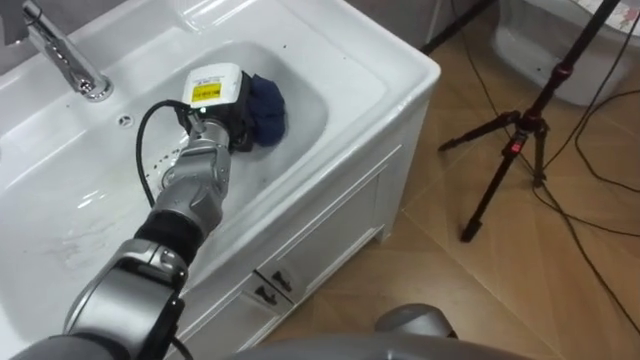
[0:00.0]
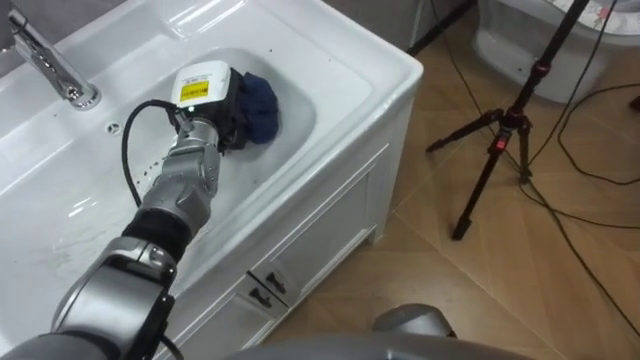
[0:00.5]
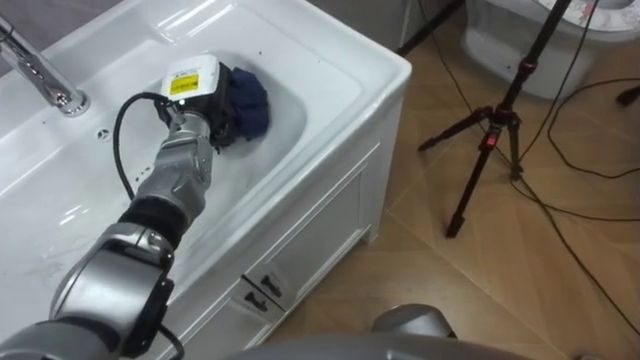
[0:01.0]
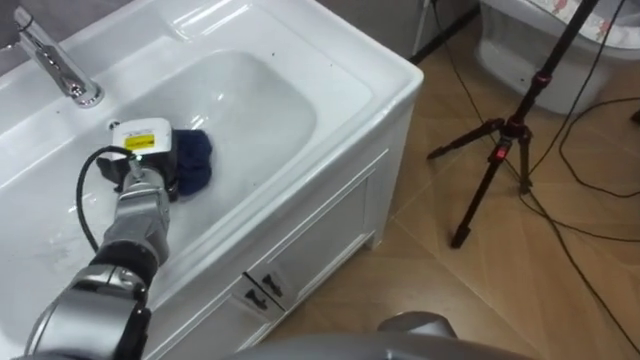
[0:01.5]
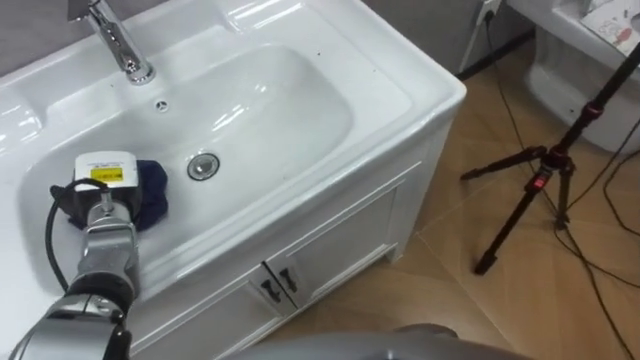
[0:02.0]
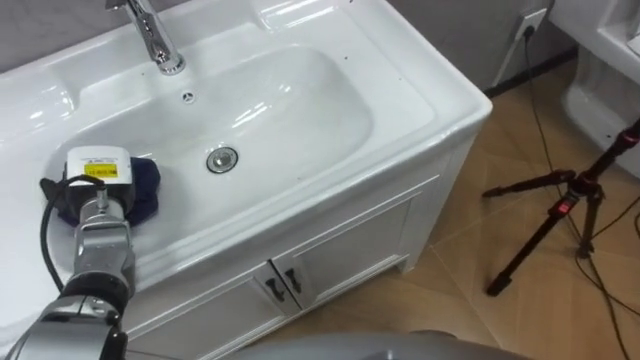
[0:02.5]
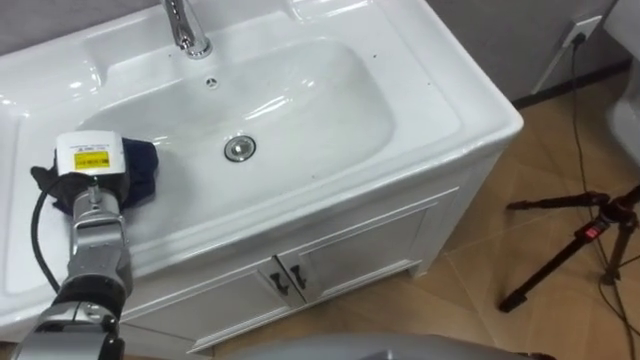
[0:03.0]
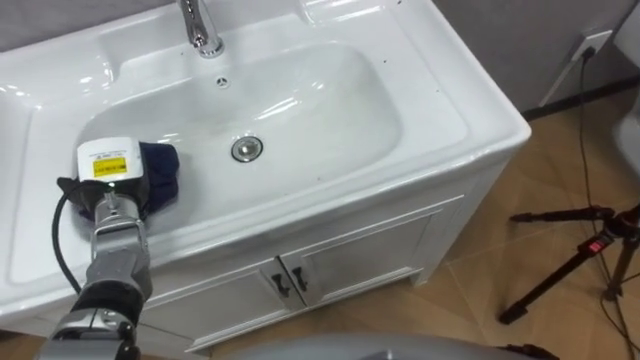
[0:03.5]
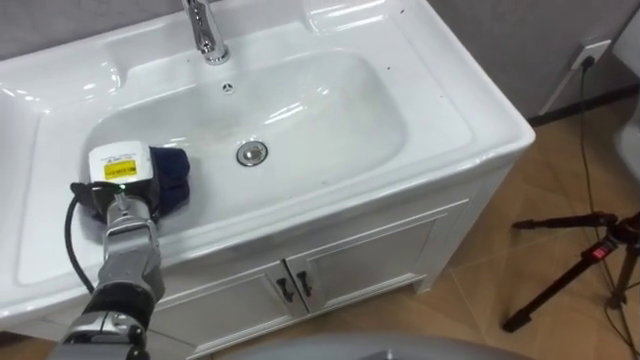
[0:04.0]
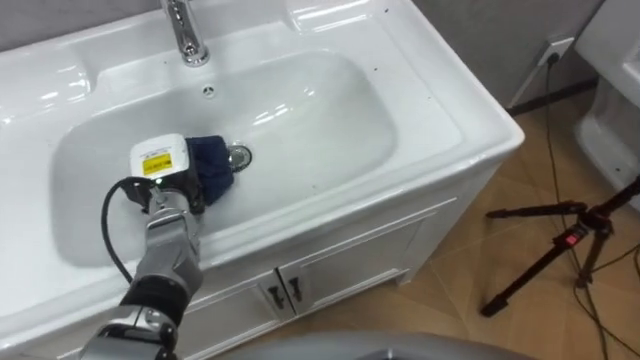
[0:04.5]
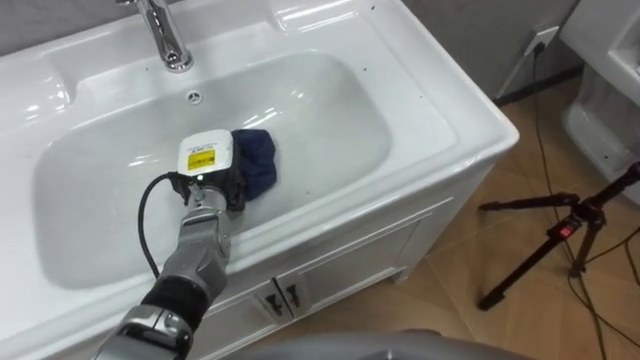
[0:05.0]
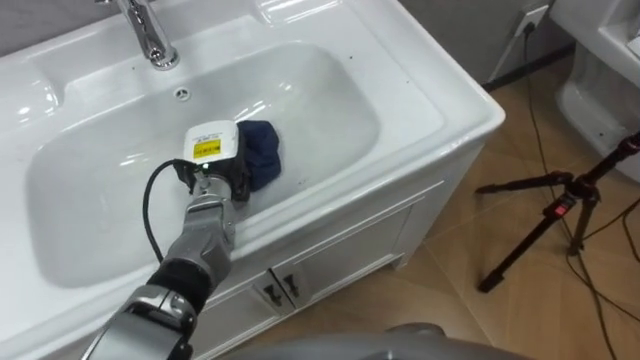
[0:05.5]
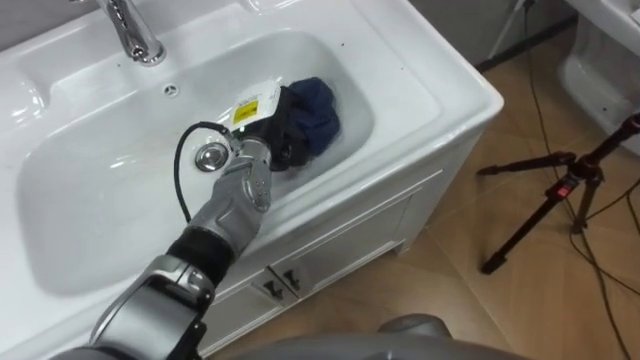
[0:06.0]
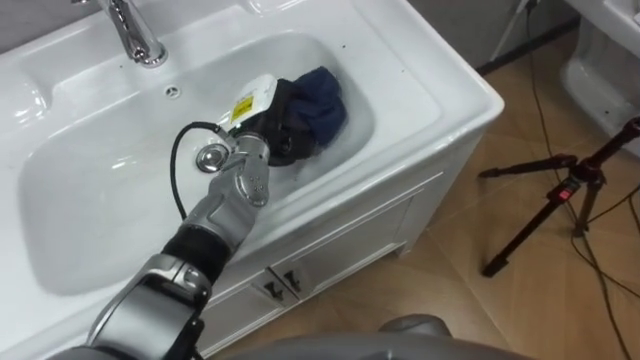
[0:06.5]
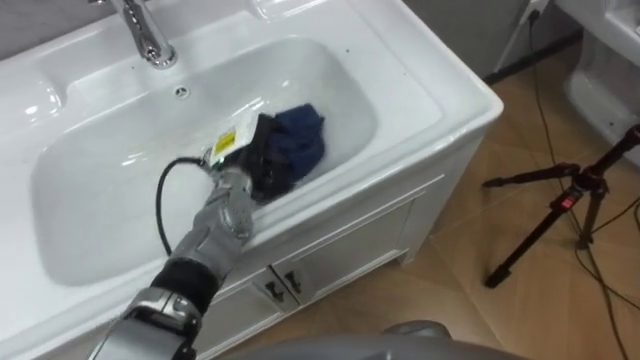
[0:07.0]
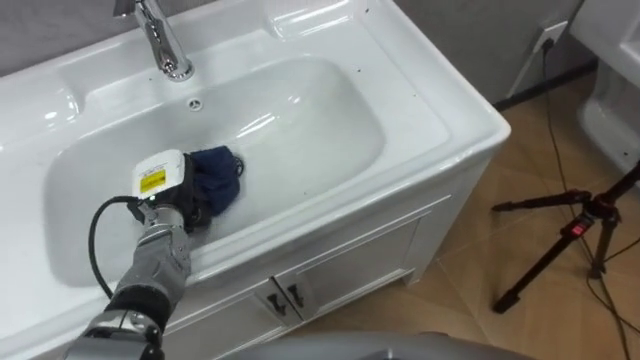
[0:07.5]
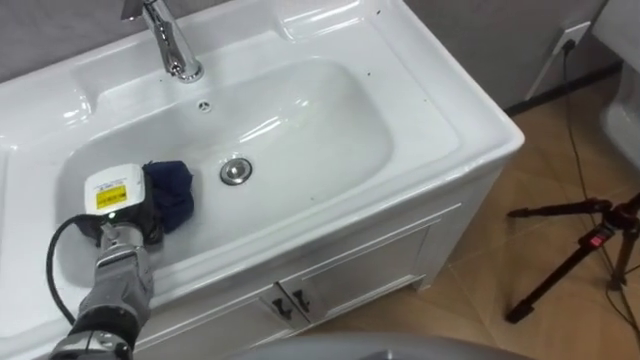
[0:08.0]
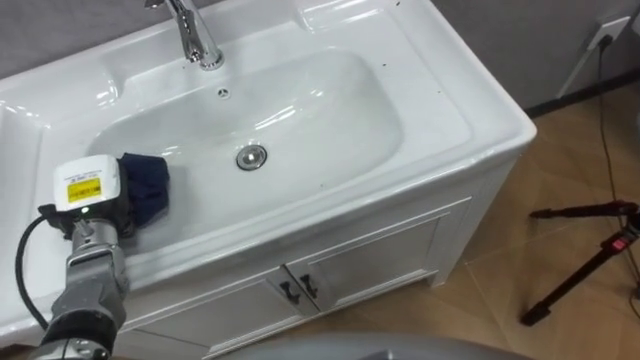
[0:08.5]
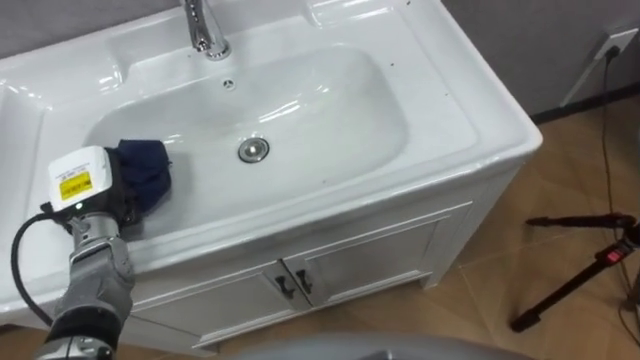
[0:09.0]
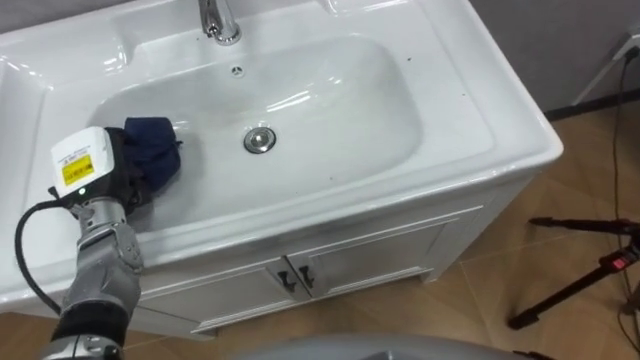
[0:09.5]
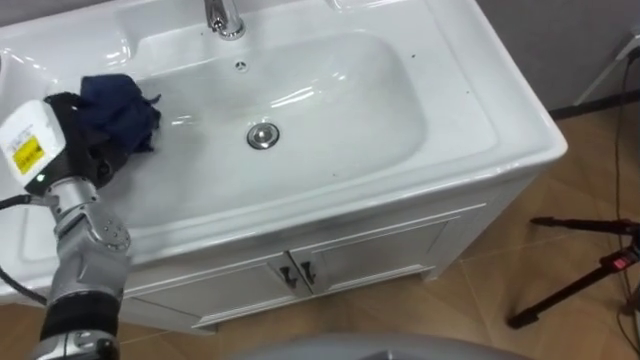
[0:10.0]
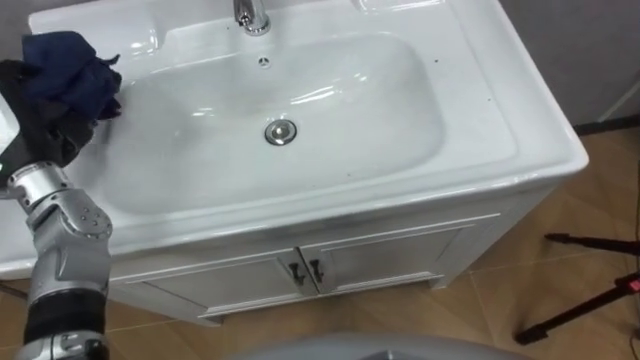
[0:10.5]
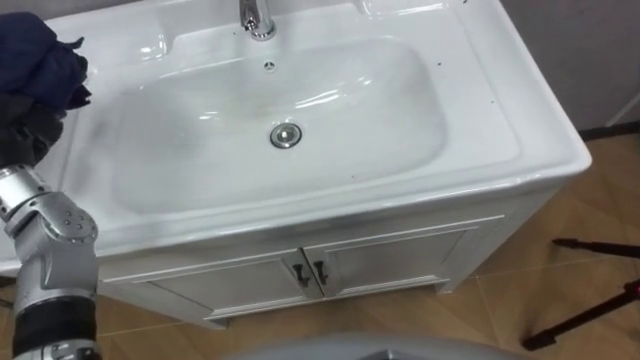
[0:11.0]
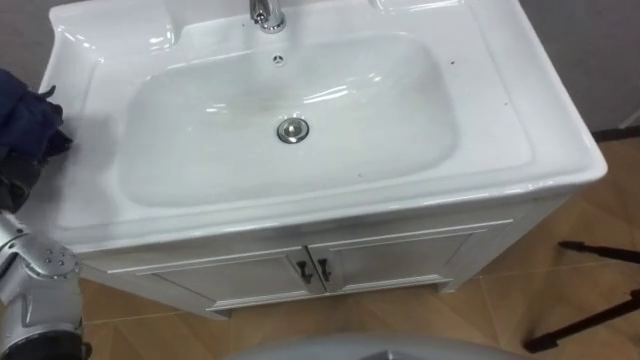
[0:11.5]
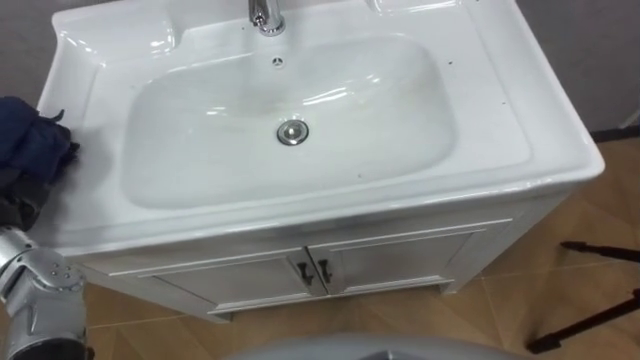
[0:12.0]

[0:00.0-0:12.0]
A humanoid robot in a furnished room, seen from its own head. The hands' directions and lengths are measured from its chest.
Task of the whole recording: Use the cloth on the right to wipe away the black stain in the sink.
0:00.0 to 0:02.0: The left hand shifts some 20 cm to the left, backward and downward.
0:04.0 to 0:06.0: The left hand is displaced to the right and forward by about 20 cm.
0:06.0 to 0:08.0: The left hand goes roughly 25 cm to the left and backward.
0:08.0 to 0:10.0: The left hand travels upward by roughly 10 cm.

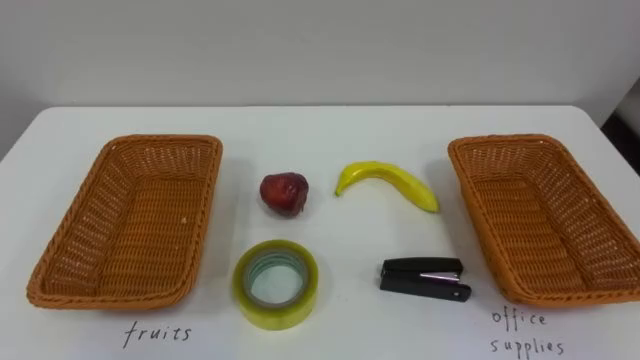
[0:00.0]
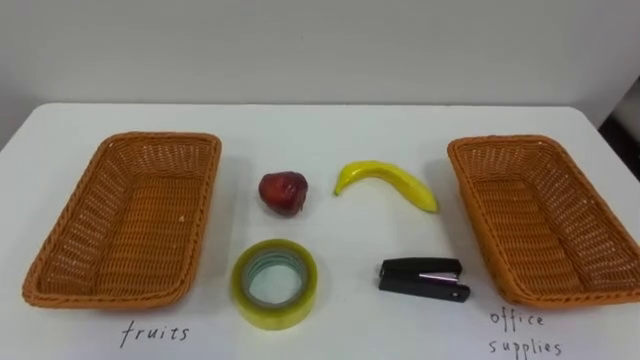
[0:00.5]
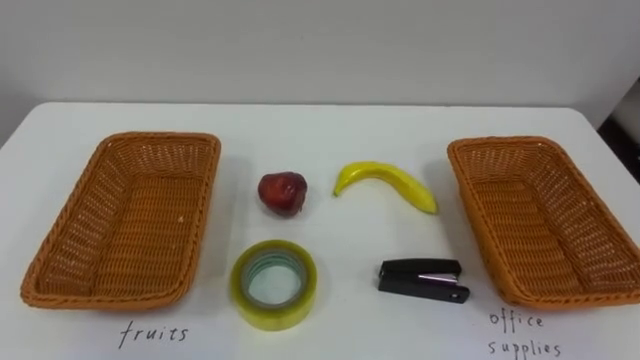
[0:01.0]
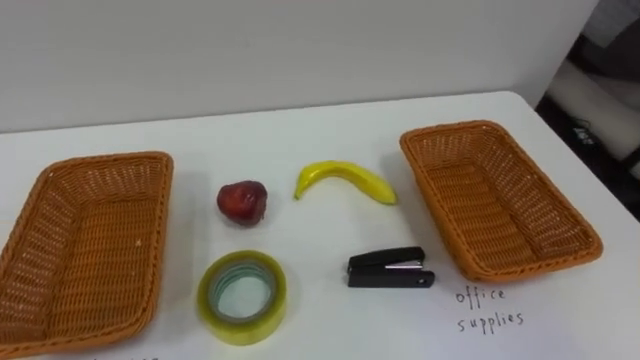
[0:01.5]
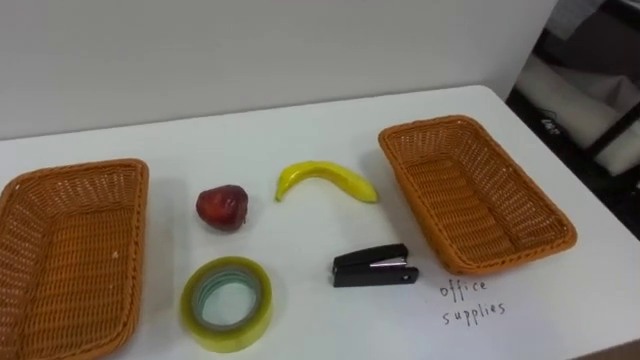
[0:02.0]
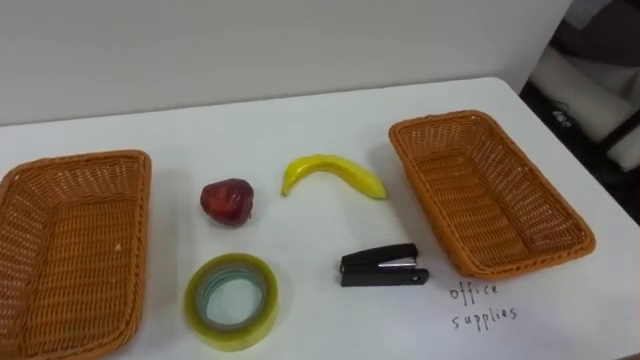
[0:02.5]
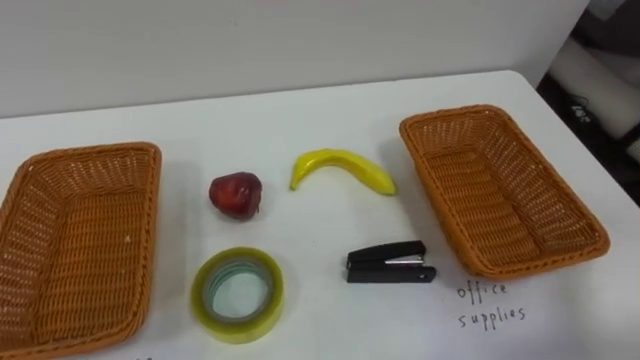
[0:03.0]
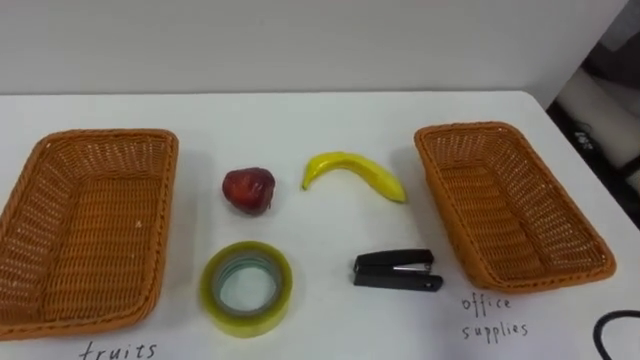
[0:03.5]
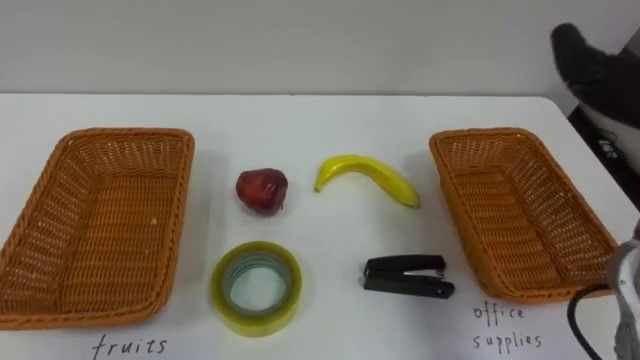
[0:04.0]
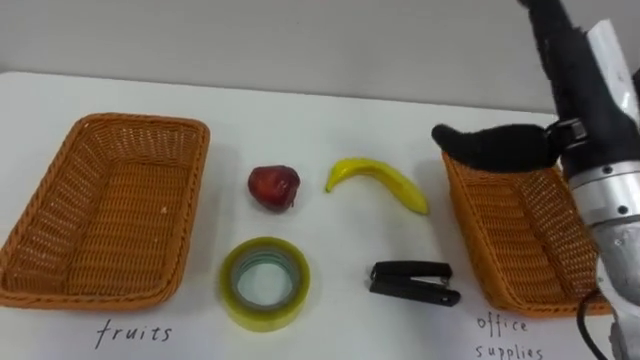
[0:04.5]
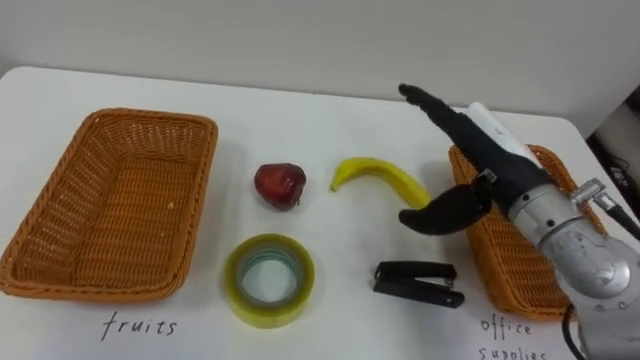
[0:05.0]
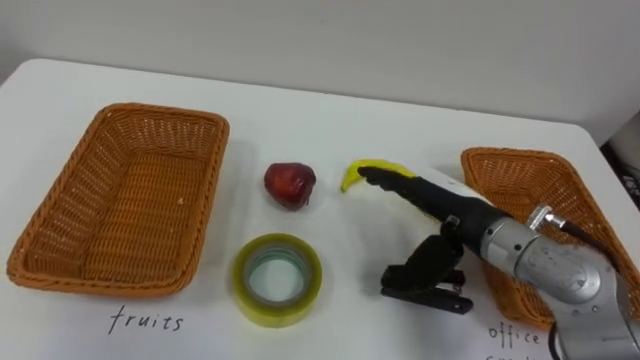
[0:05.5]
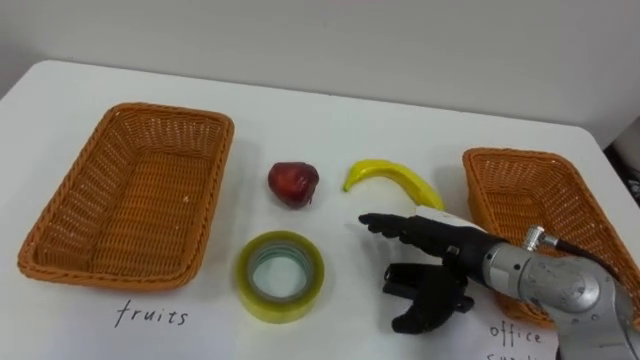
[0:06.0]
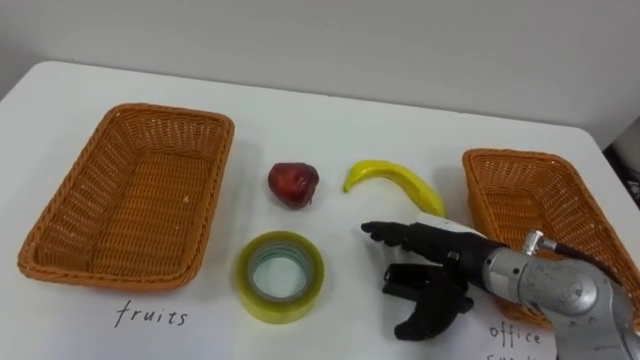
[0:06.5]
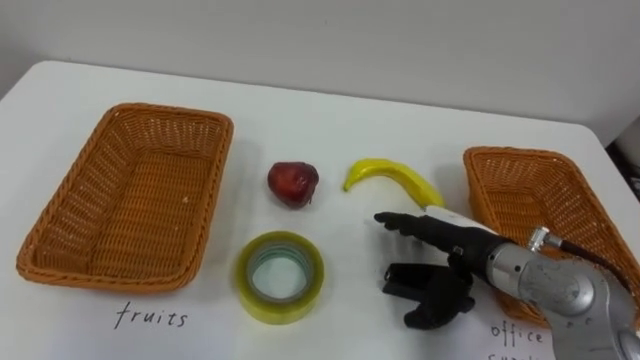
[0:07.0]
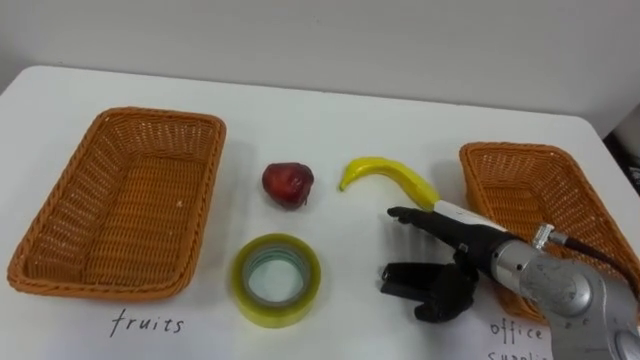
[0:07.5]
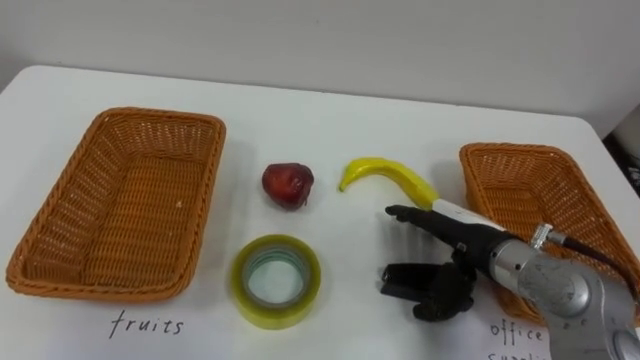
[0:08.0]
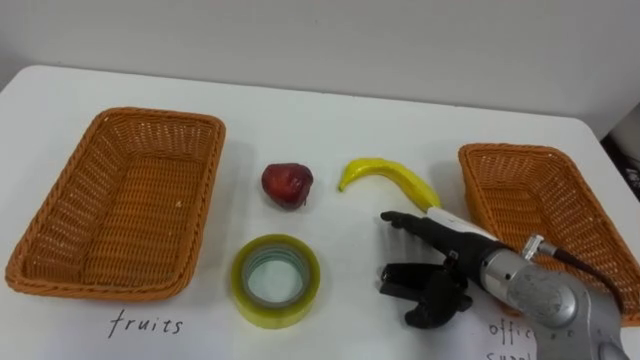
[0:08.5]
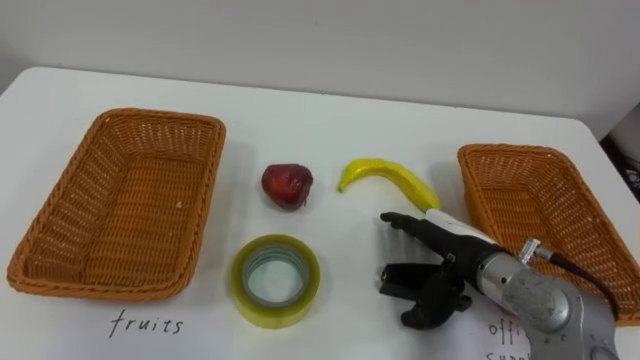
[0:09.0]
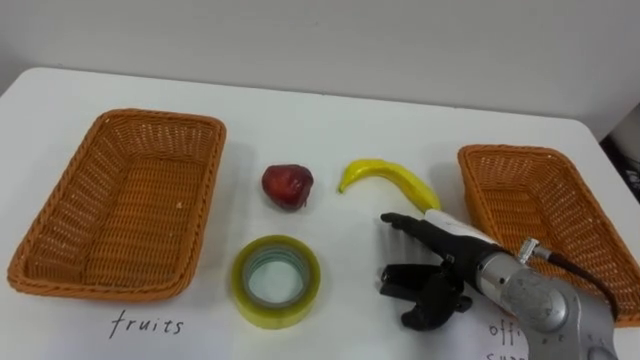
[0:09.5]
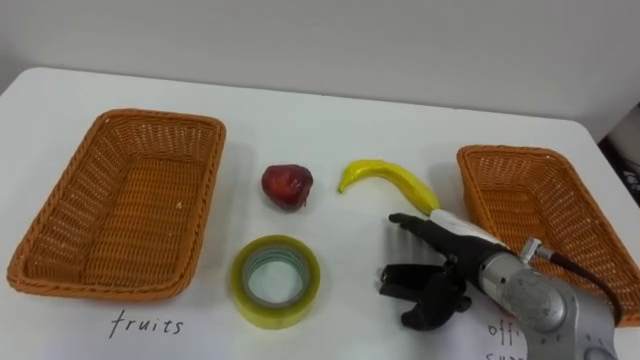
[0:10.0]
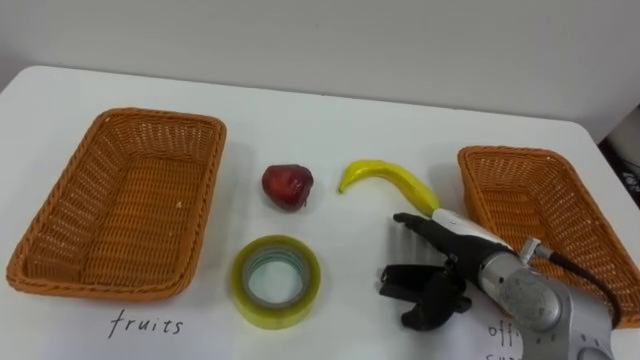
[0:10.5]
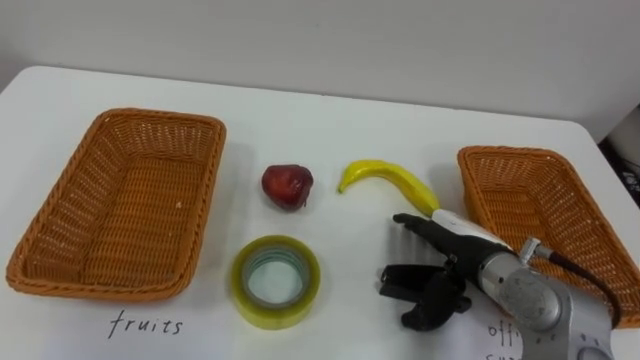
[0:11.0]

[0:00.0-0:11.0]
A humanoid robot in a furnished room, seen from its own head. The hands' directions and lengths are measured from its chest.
Task of the whole recording: Separate the items on the table and place them into the two baskets.
0:05.5 to 0:07.5: The right hand ends up roughly 5 cm from where it was.
